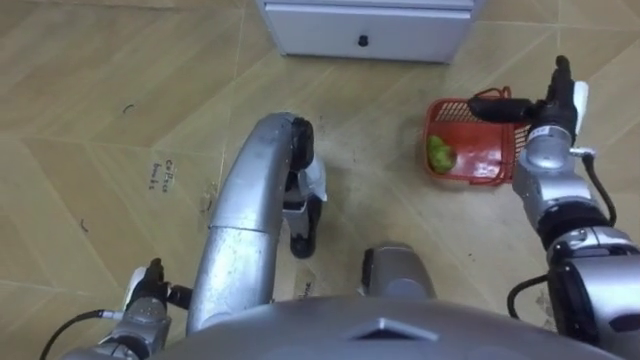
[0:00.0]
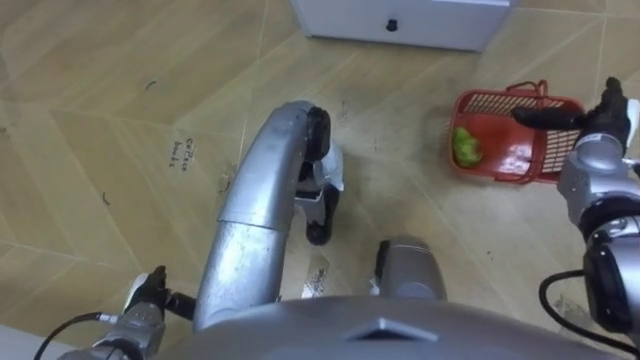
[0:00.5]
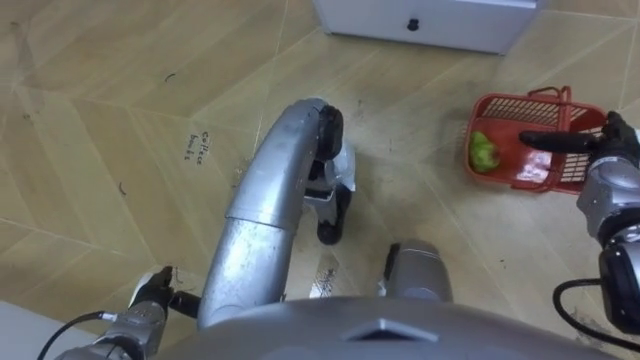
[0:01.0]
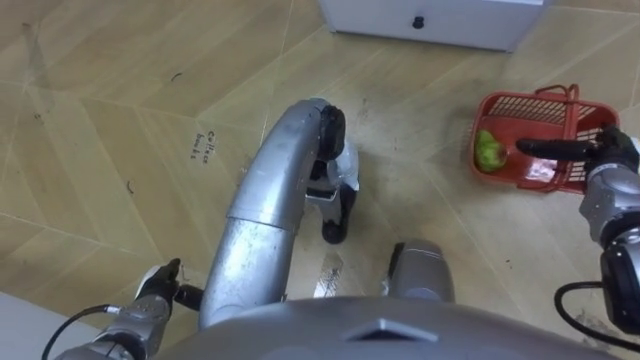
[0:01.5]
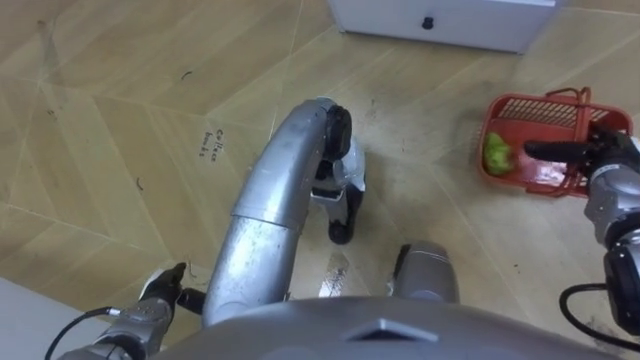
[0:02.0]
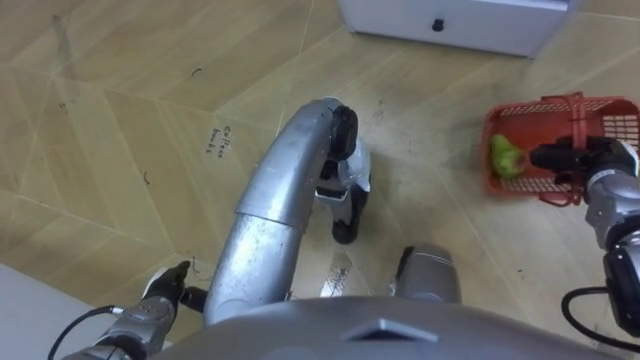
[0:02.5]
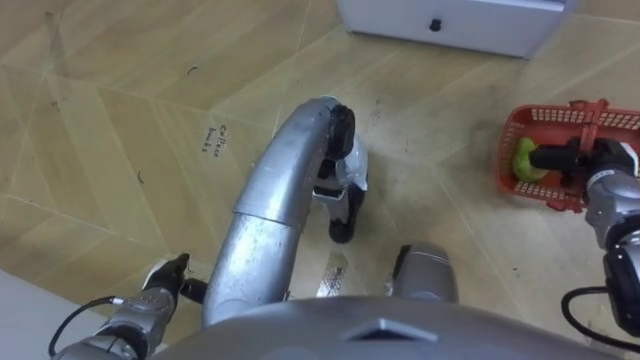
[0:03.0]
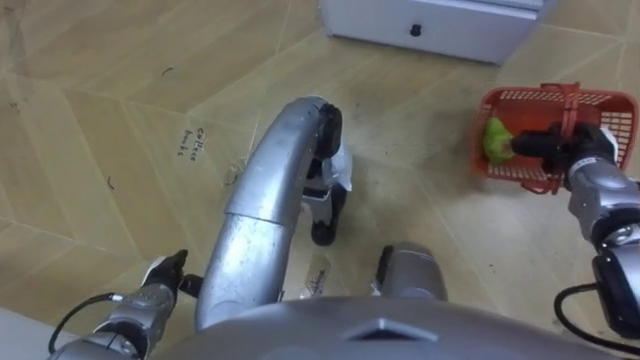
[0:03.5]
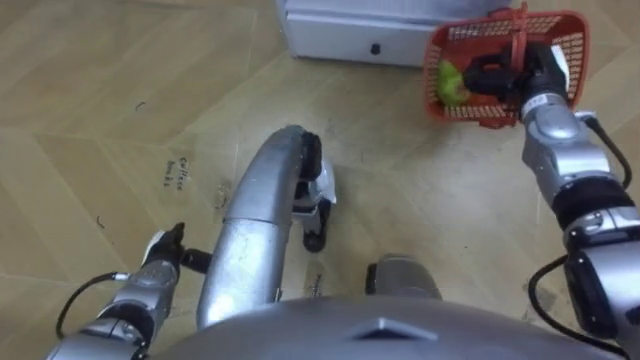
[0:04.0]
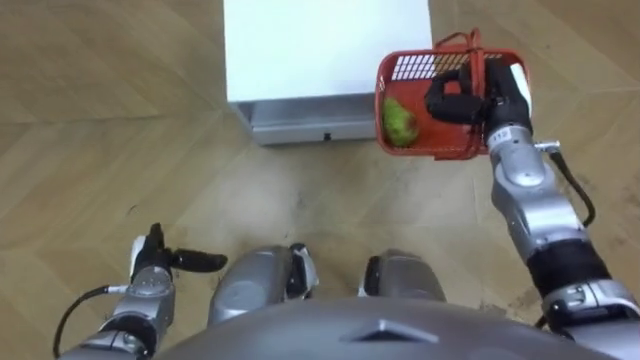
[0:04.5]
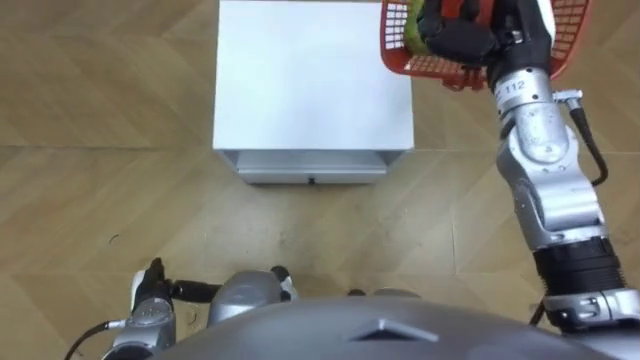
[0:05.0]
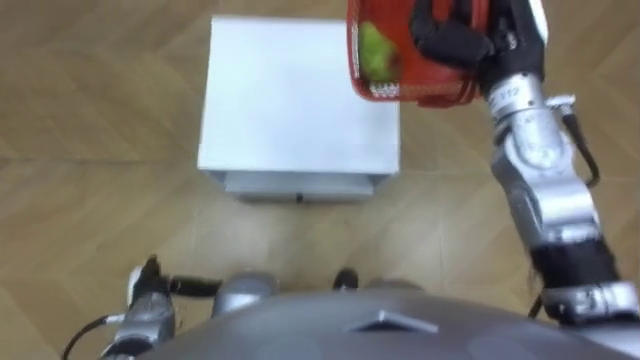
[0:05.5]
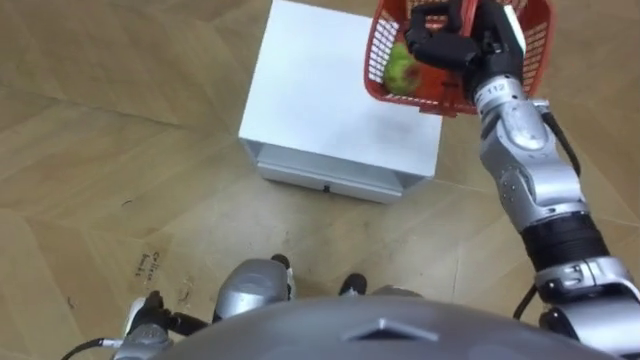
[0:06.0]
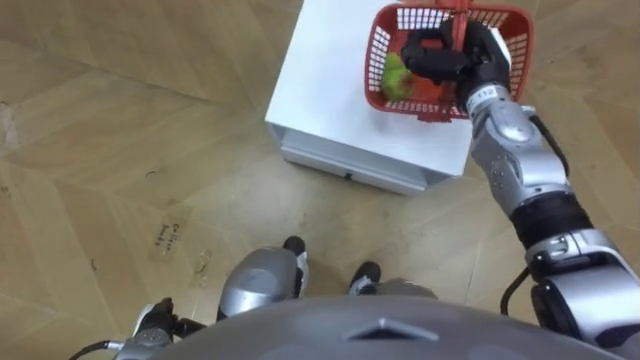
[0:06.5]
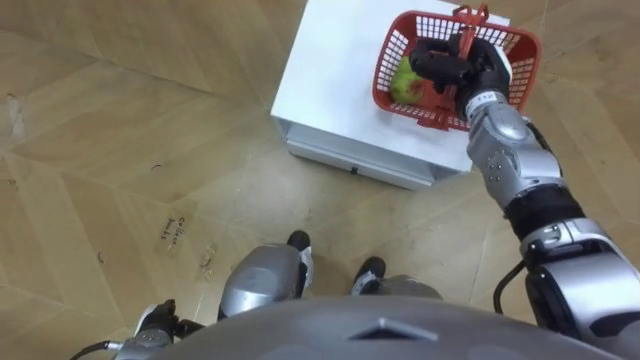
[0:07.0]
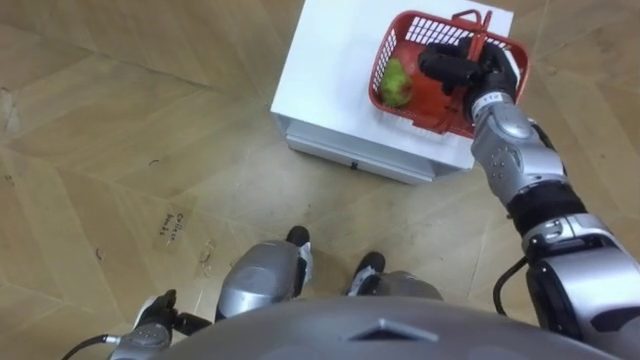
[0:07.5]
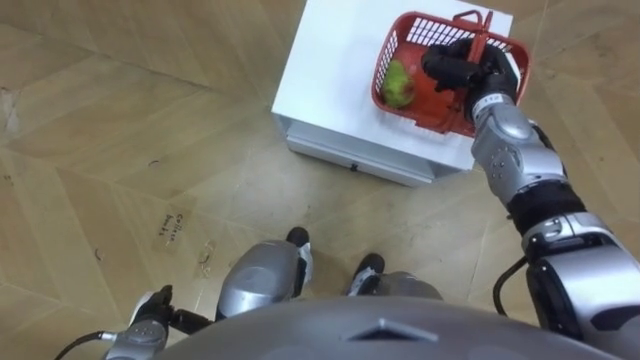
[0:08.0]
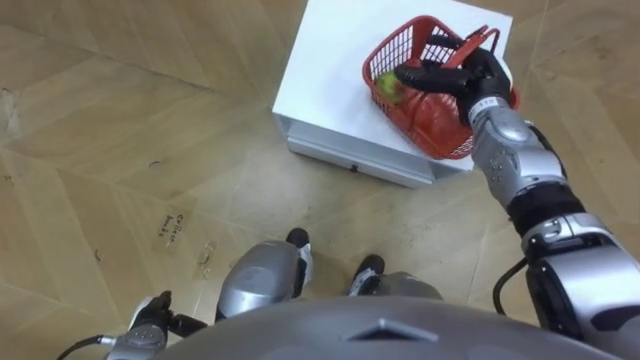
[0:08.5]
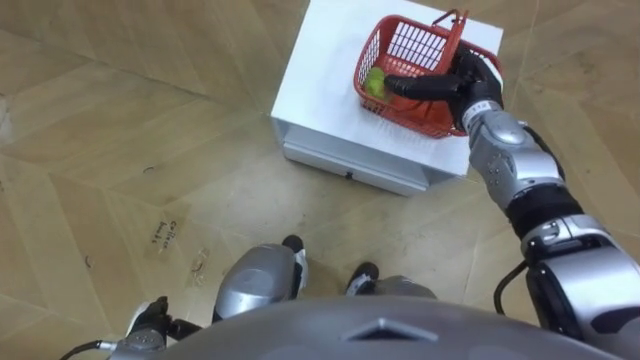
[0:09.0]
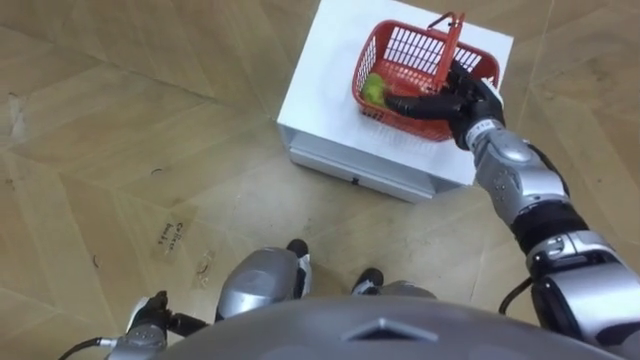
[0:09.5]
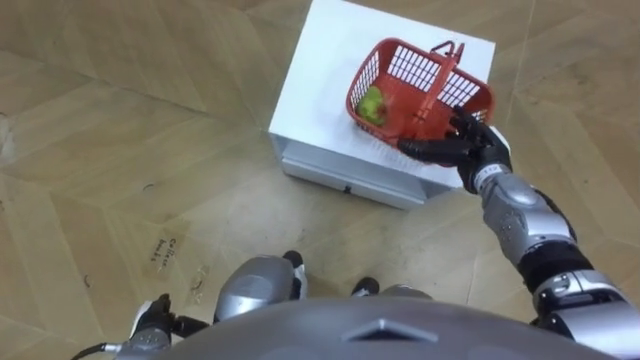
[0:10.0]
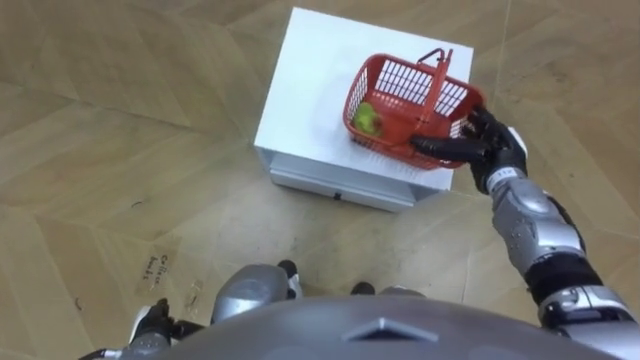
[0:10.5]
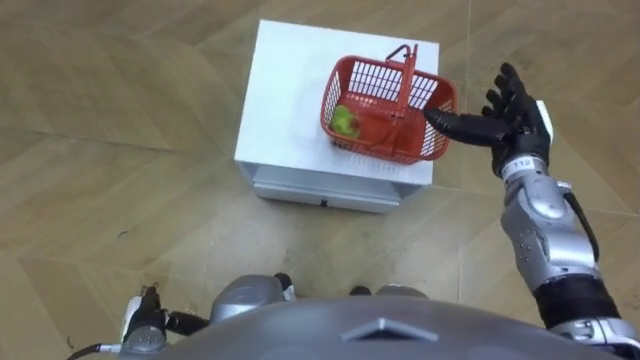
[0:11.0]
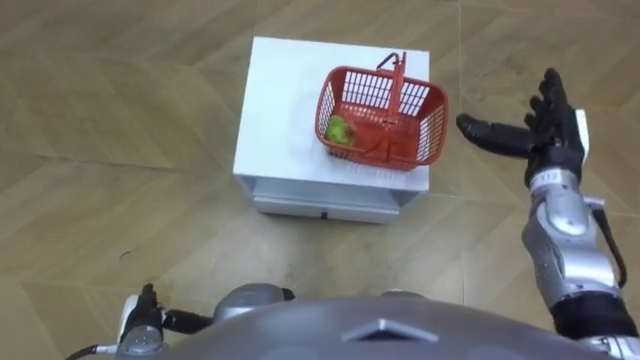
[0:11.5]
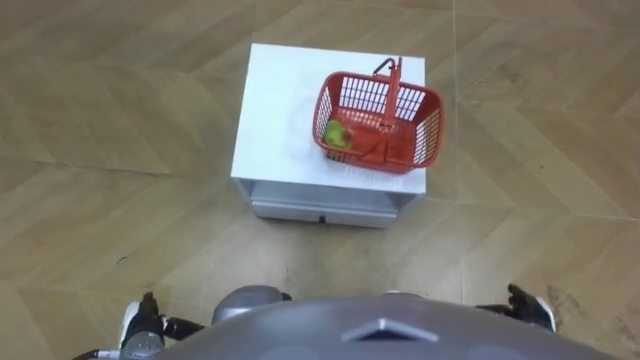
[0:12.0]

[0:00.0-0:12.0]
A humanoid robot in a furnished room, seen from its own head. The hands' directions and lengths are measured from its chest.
Task of the whole recording: Pick up the fruit basket from the floor and place it on the cabinet.
0.0 to 2.0 s: The right hand moves to the right and backward, some 10 cm.
2.0 to 4.0 s: The left hand moves forward, some 5 cm, while the right hand shifts some 15 cm to the left, forward and upward, and closes up.
4.0 to 6.0 s: The right hand moves to the left and upward, some 10 cm, while the left hand is displaced backward by some 10 cm.
6.0 to 8.0 s: The right hand is displaced downward by roughly 10 cm.
8.0 to 10.0 s: The right hand travels backward and downward by approximately 10 cm, and opens up.
10.0 to 12.0 s: The right hand travels backward by some 25 cm.

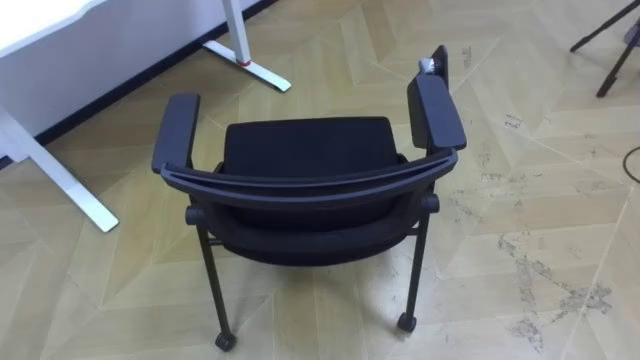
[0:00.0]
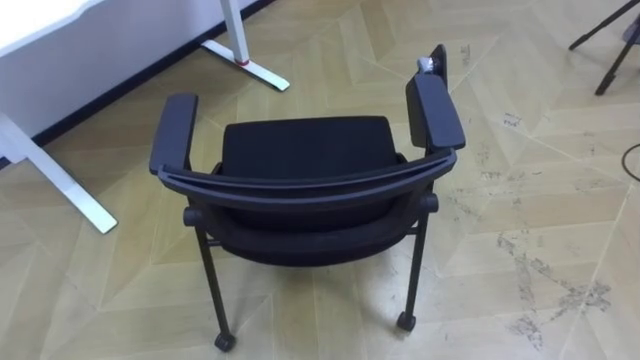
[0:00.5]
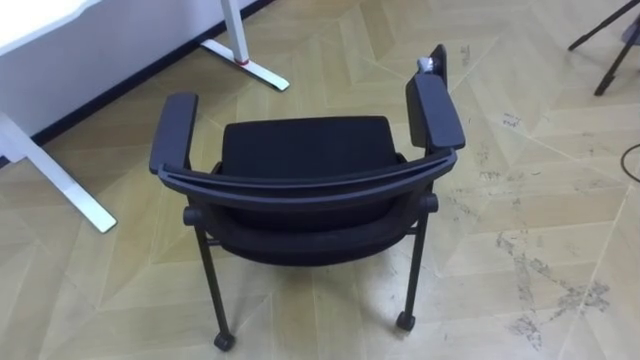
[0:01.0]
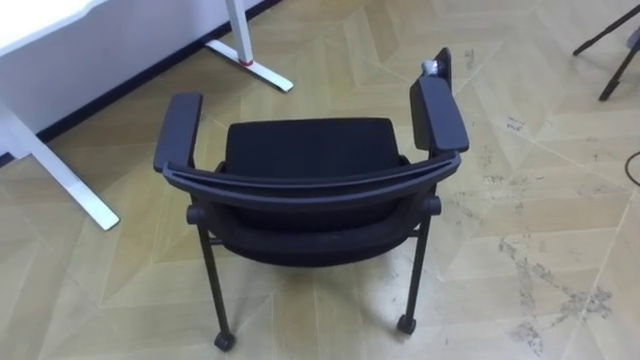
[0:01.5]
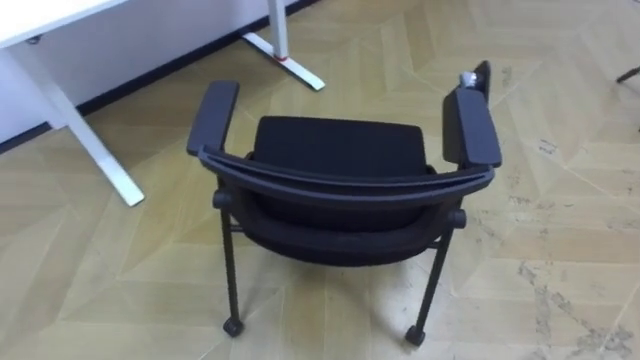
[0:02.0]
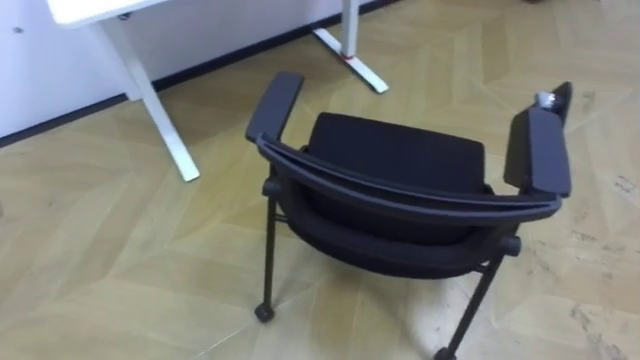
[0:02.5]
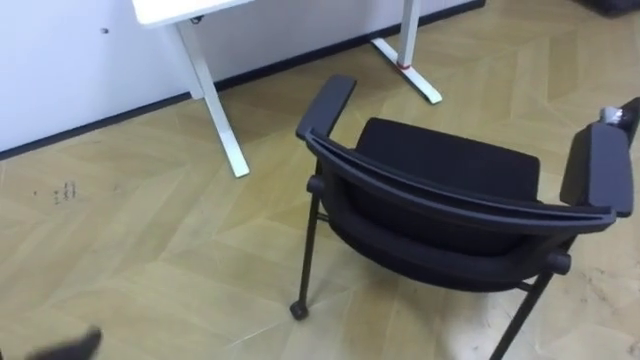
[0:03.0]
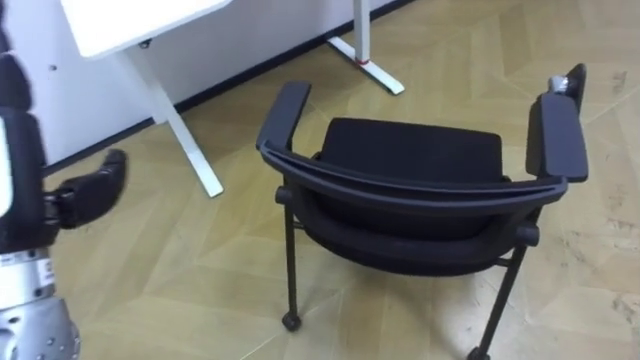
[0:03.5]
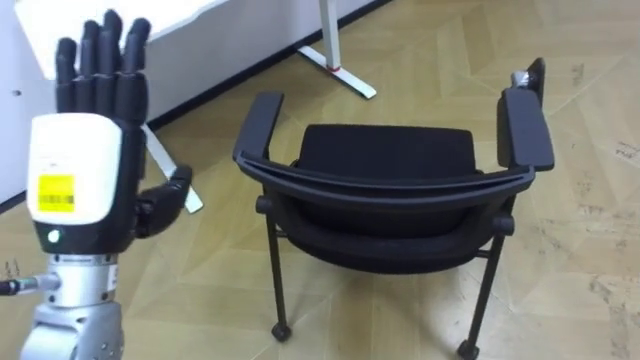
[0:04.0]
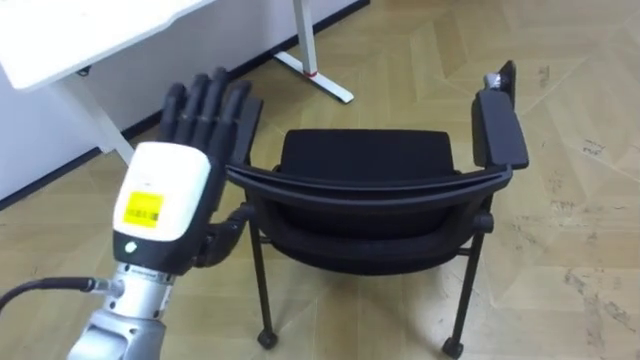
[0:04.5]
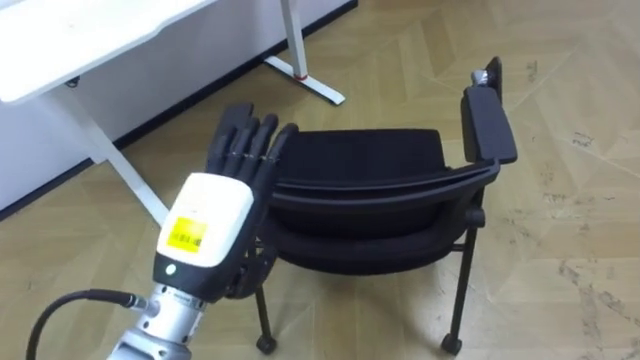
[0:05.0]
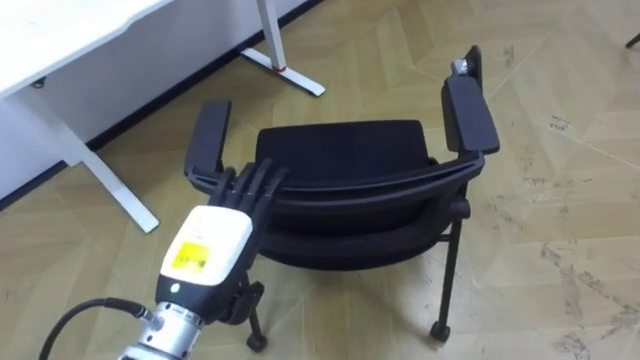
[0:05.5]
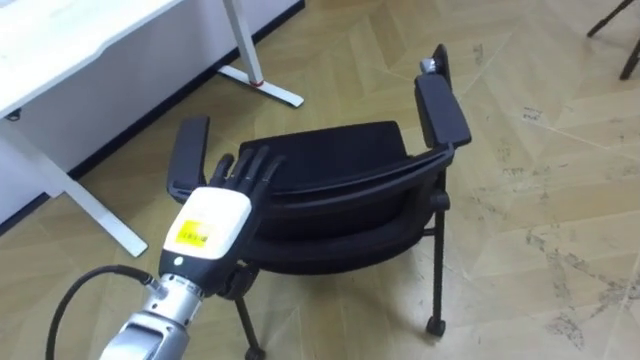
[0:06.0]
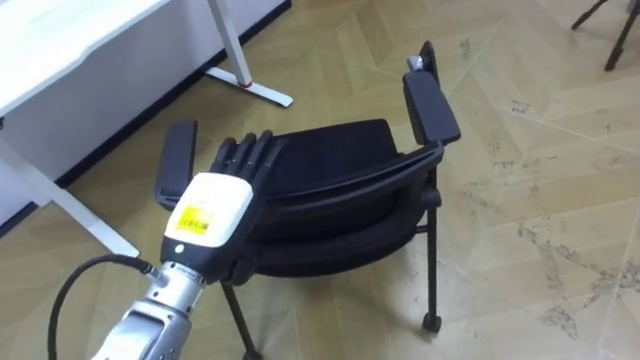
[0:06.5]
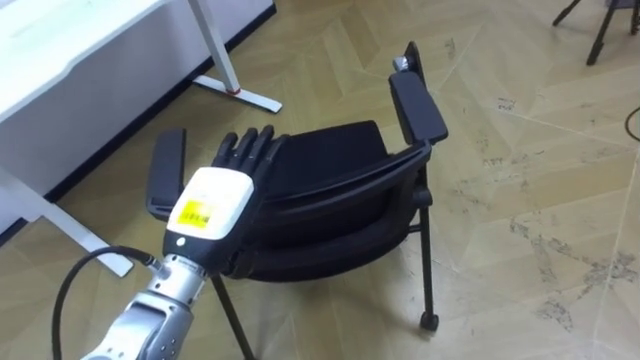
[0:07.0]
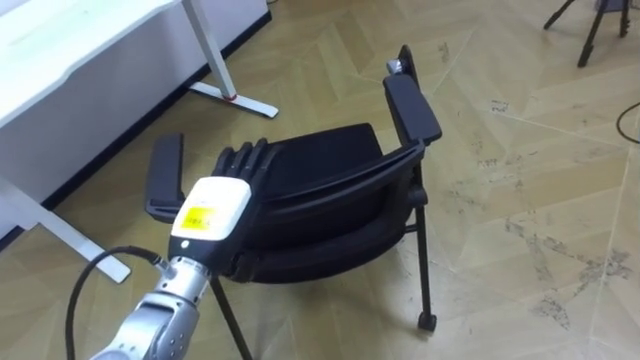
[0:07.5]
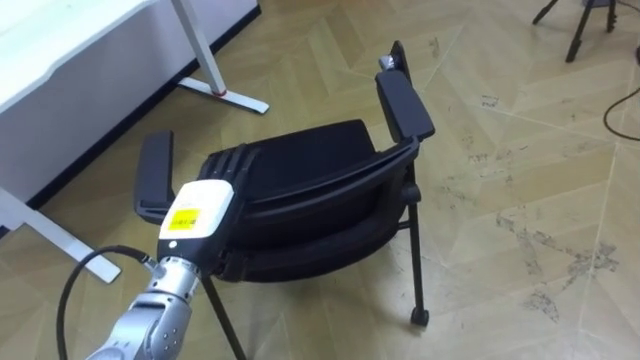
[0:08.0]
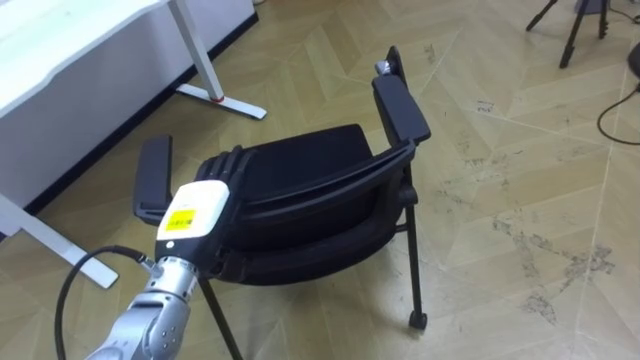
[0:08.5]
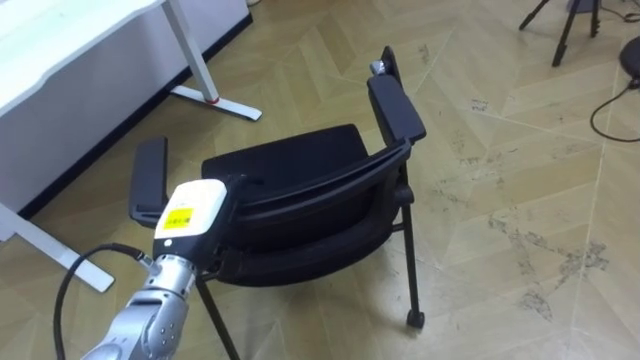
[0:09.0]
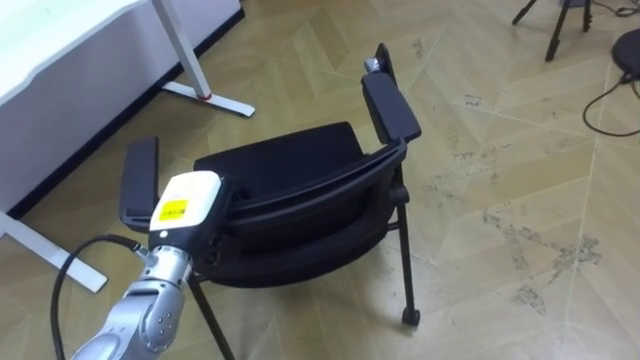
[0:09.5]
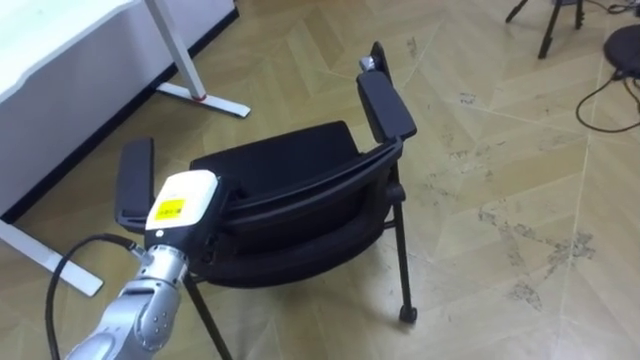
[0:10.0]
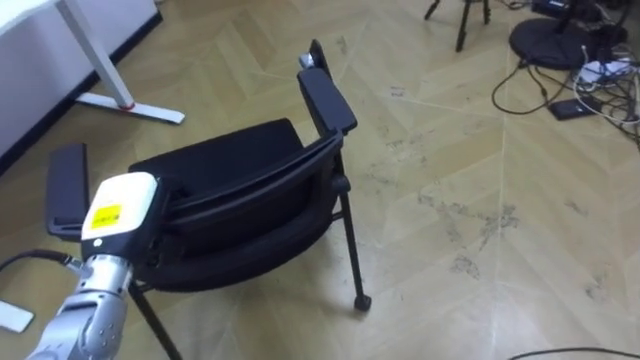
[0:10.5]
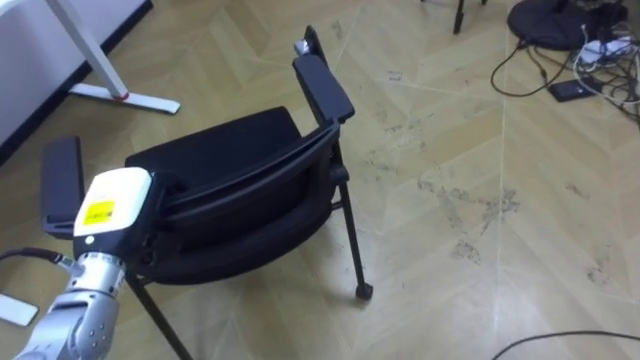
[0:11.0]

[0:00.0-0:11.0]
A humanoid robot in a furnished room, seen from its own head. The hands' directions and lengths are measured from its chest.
Task of the whole recording: Push the chair under the table.
5.5 to 7.5 s: The left hand goes roughly 5 cm forward.
9.0 to 11.0 s: The left hand is displaced to the left by approximately 10 cm, and closes its fingers.
